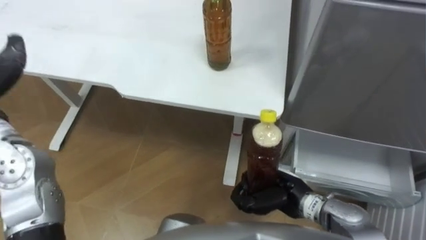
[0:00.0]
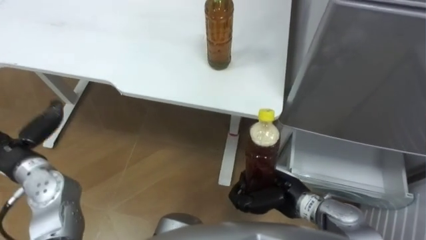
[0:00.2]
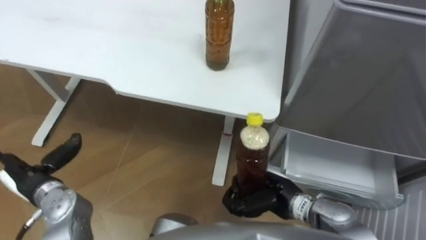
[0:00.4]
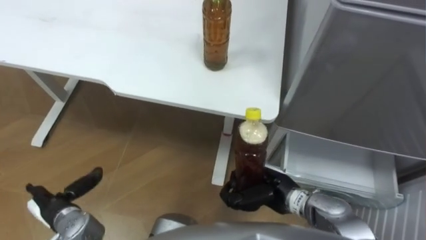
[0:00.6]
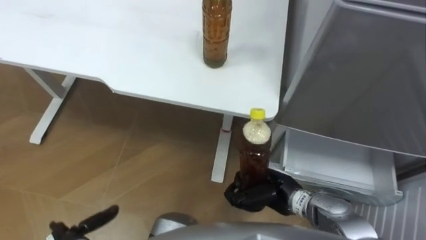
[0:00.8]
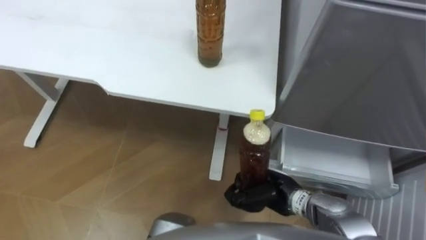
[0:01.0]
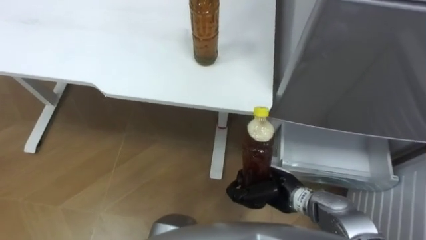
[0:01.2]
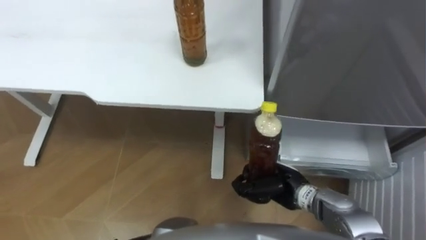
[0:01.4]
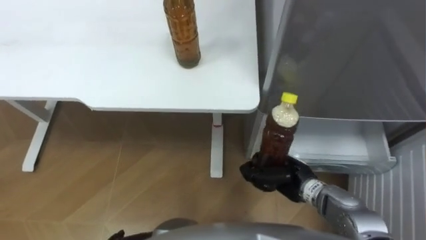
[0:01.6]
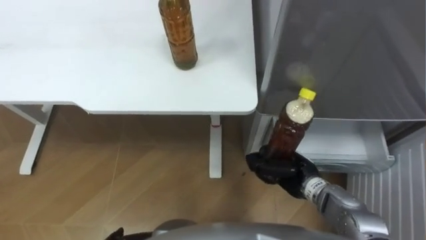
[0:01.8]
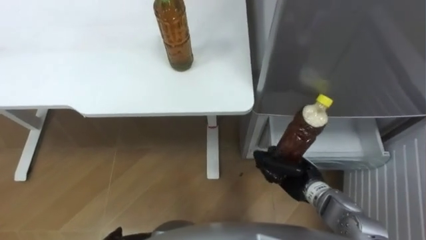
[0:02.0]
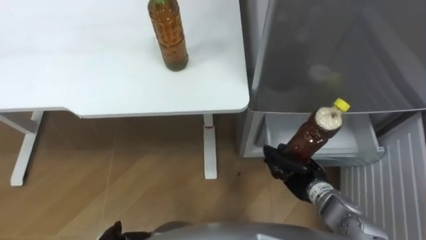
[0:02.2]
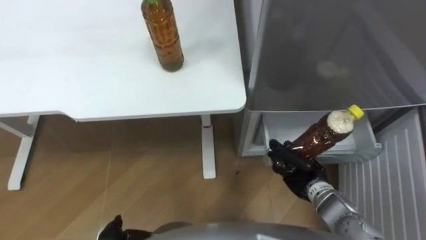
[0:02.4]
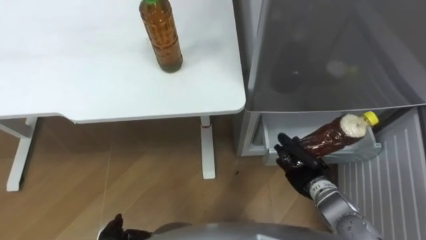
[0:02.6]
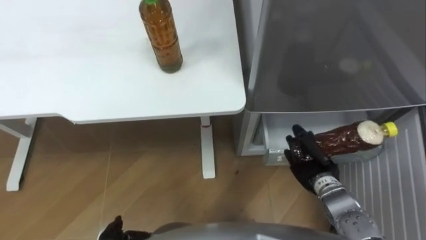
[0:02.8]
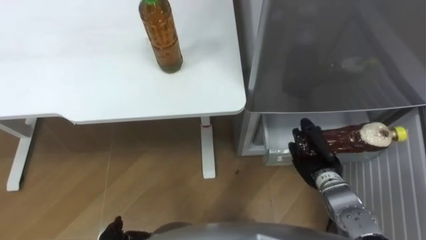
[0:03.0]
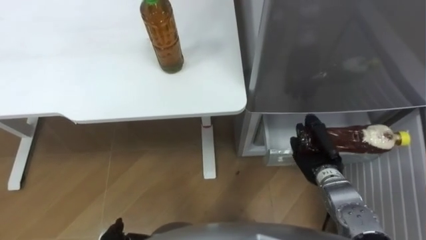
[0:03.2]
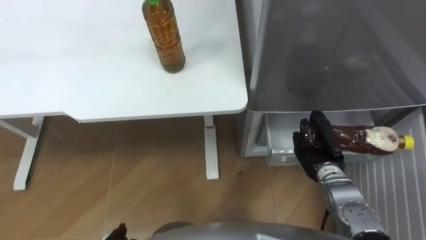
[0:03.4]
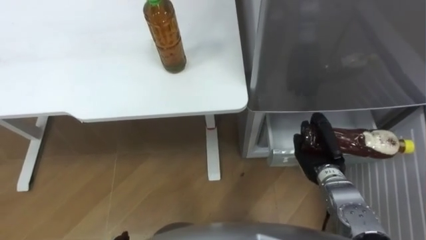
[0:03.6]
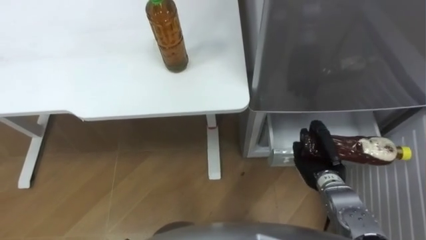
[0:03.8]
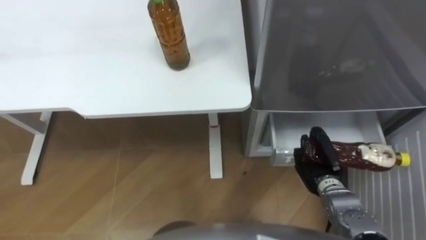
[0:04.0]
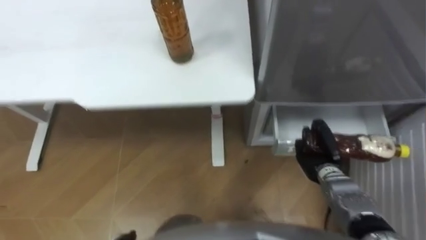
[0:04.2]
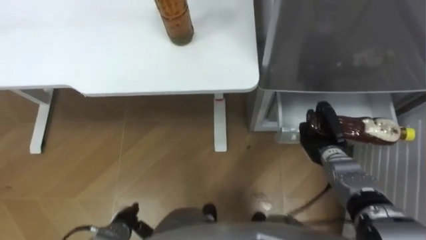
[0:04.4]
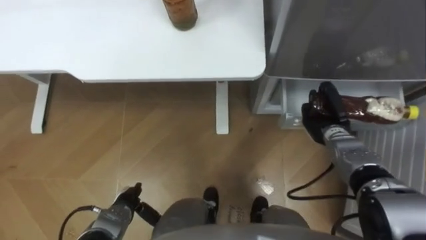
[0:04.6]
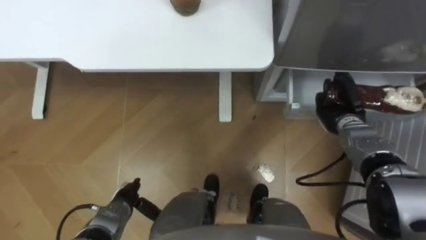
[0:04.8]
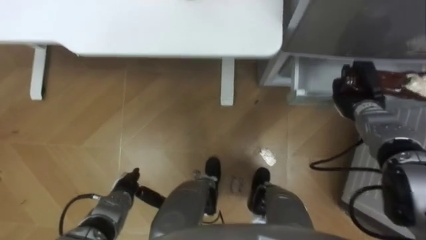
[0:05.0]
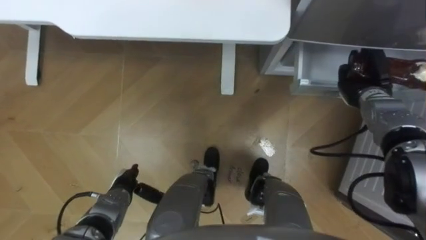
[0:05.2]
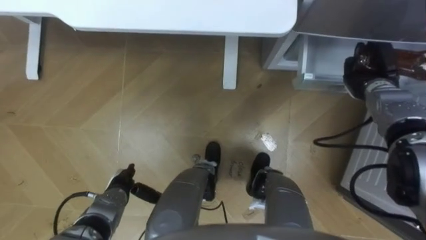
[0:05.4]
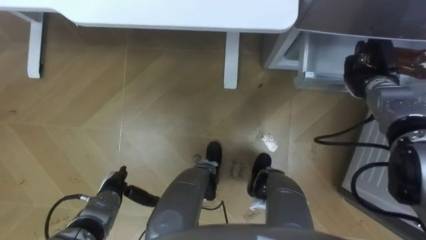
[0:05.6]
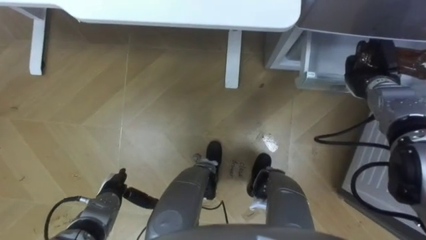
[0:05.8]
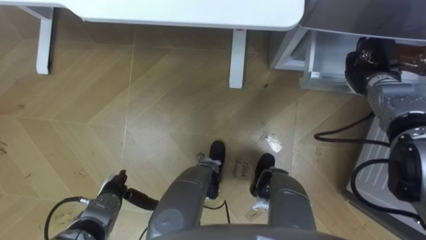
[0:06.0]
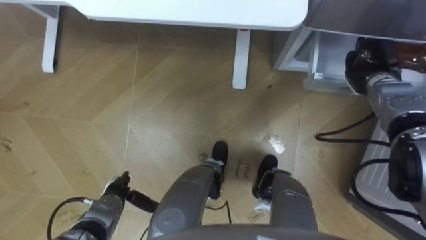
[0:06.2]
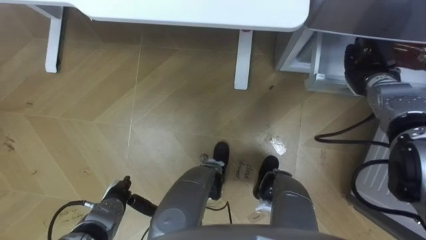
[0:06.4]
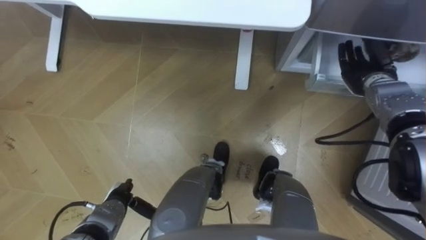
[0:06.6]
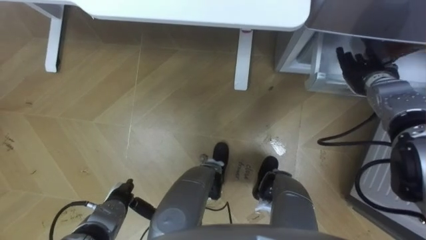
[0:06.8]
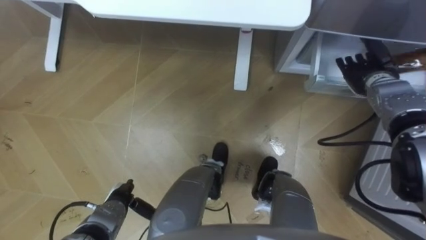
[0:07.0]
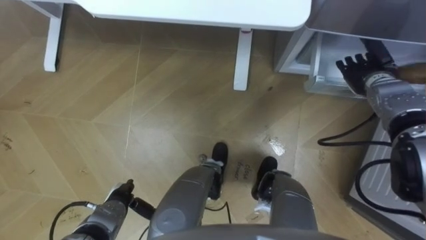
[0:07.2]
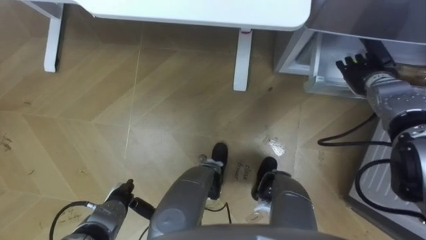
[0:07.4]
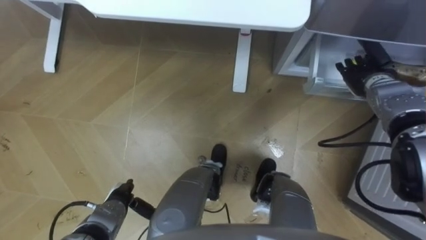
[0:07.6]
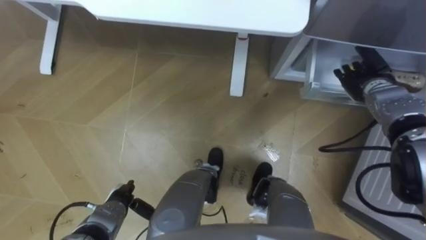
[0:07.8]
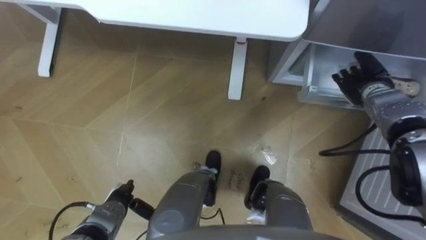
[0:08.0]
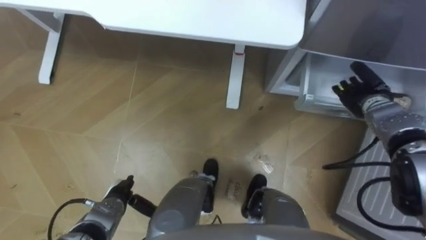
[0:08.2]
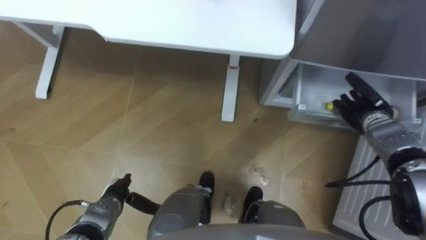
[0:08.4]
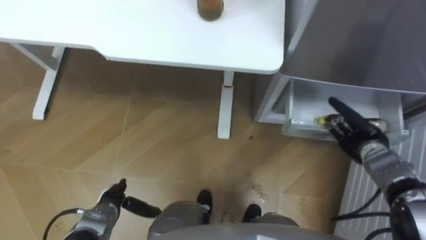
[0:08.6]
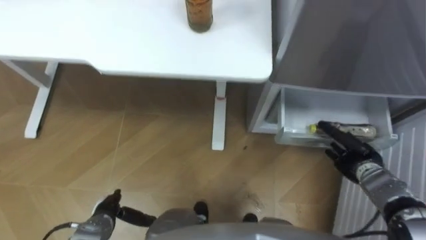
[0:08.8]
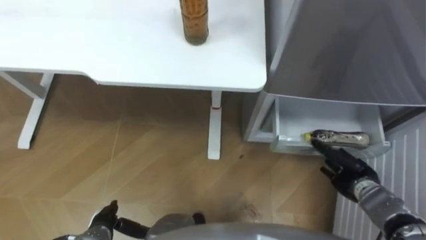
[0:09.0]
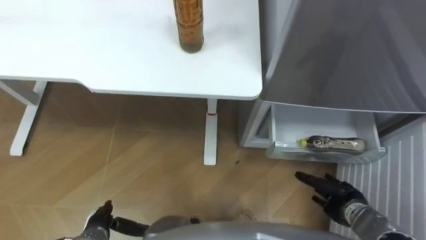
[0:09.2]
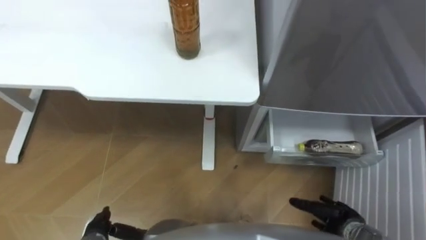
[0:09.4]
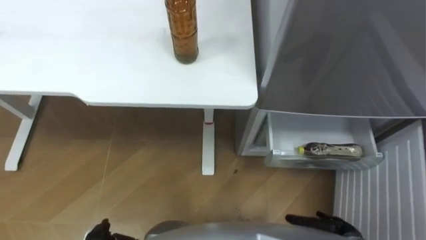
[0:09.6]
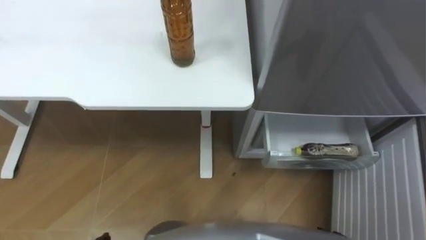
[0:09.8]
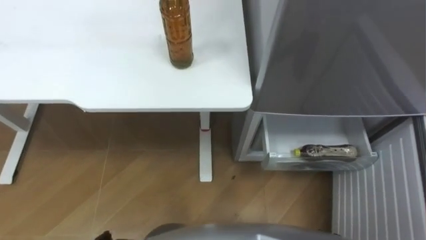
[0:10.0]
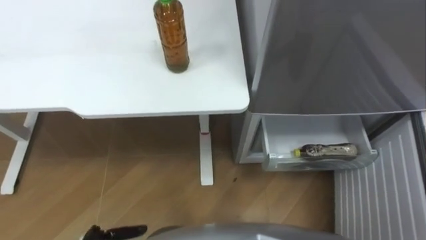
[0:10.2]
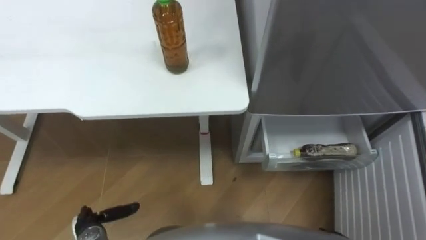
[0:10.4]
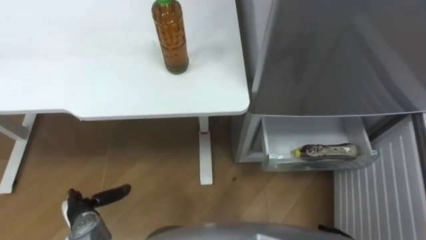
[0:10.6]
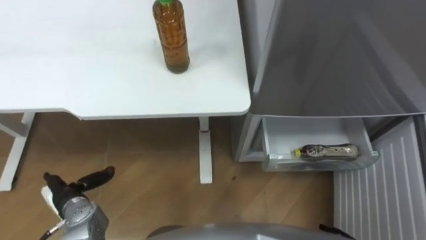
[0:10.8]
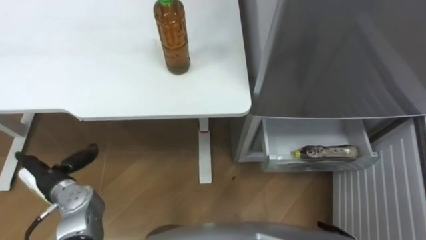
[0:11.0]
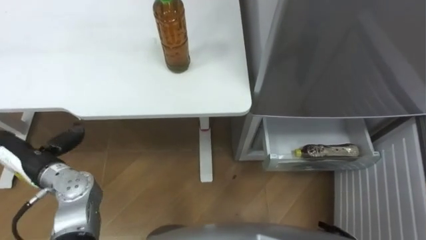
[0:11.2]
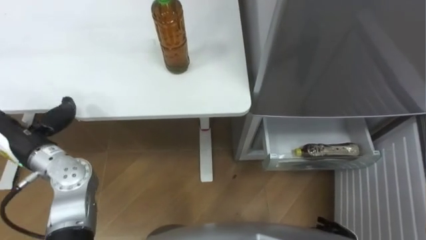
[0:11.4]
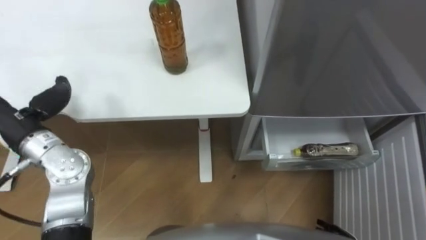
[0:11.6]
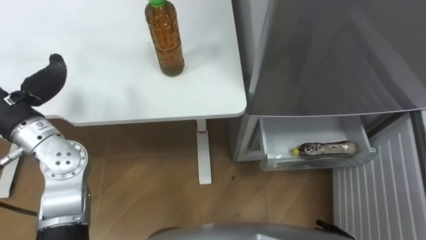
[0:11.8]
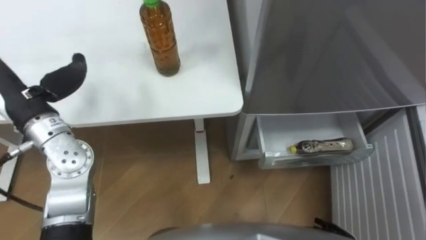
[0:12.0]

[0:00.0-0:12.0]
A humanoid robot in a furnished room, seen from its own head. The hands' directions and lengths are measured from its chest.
Task of the whole recording: Place the drink on the table on the bottom shelf of the refrigerator, then close the drawer and the refrigerator door.
0:01.6 to 0:03.0: The right hand heads to the right, covering some 5 cm.
0:04.4 to 0:06.0: The left hand goes about 10 cm forward. The right hand goes about 20 cm forward, upward and to the right.
0:06.0 to 0:07.6: The right hand opens its fingers.
0:07.6 to 0:09.0: The right hand moves backward and downward, some 20 cm.

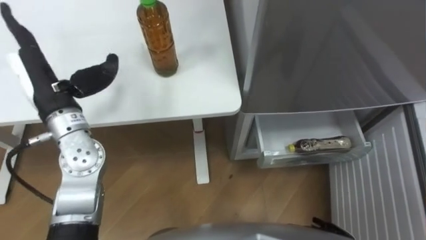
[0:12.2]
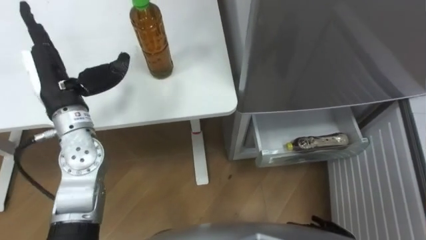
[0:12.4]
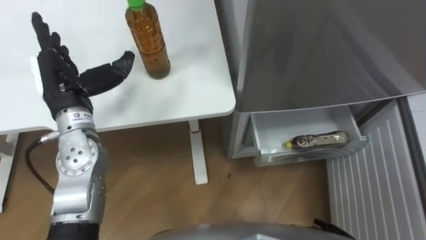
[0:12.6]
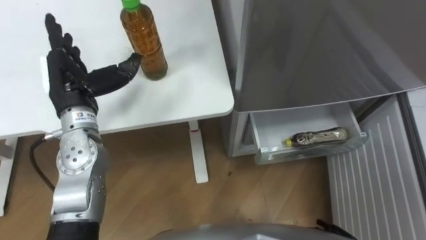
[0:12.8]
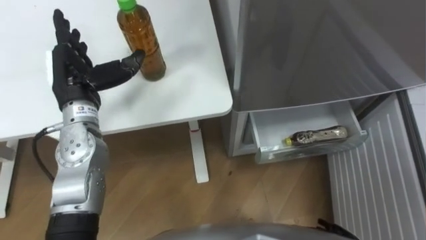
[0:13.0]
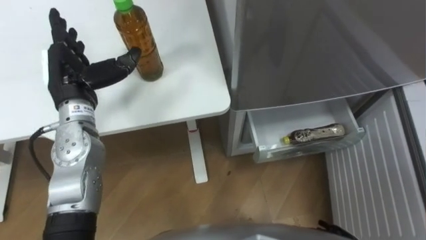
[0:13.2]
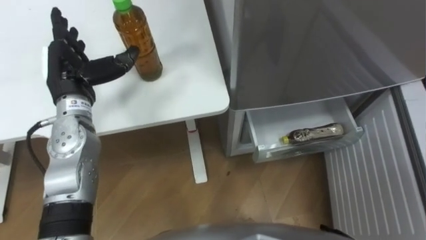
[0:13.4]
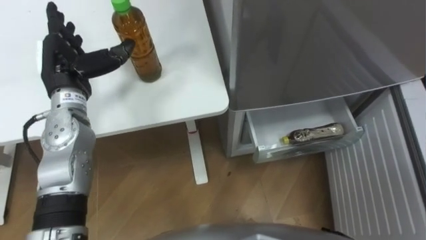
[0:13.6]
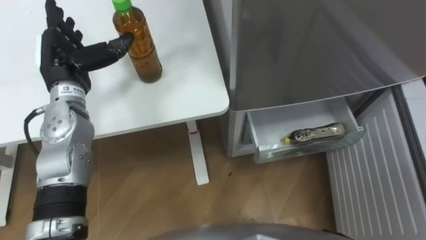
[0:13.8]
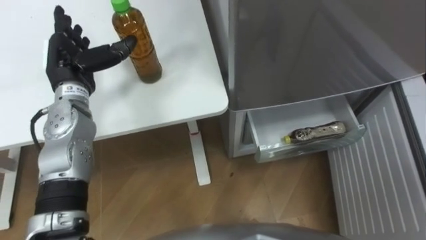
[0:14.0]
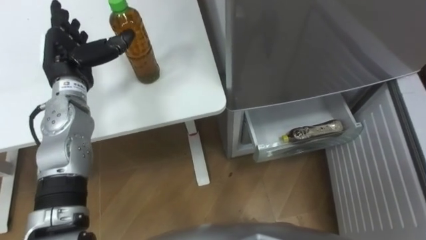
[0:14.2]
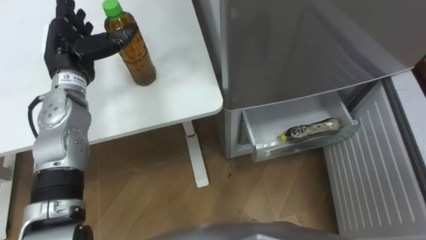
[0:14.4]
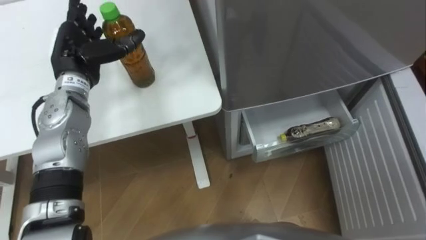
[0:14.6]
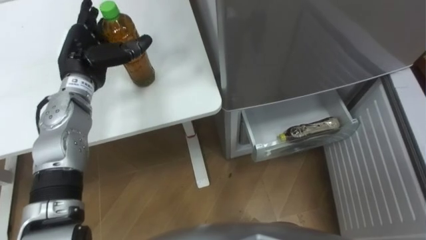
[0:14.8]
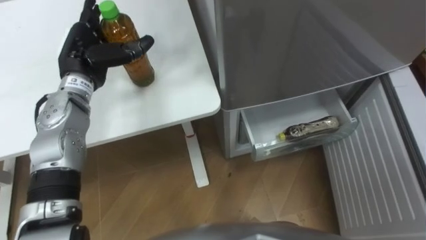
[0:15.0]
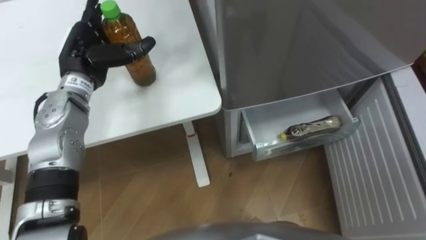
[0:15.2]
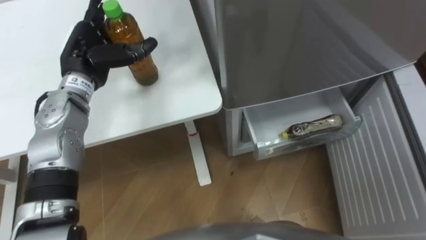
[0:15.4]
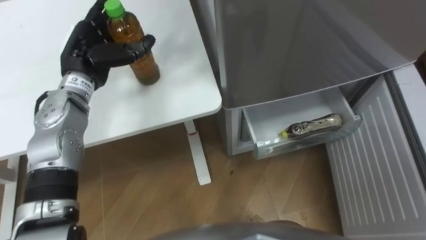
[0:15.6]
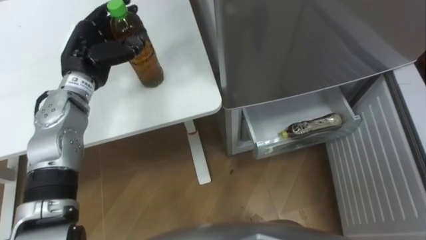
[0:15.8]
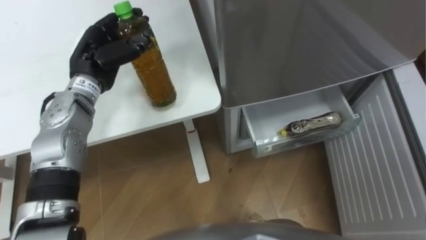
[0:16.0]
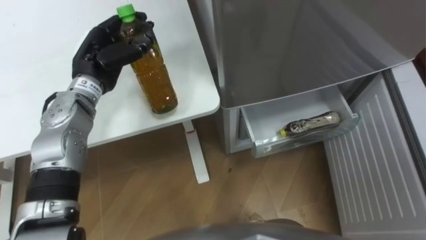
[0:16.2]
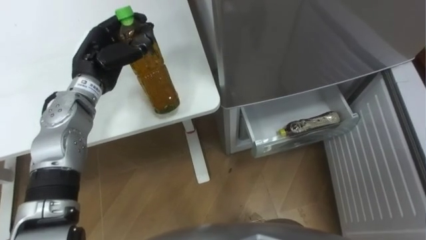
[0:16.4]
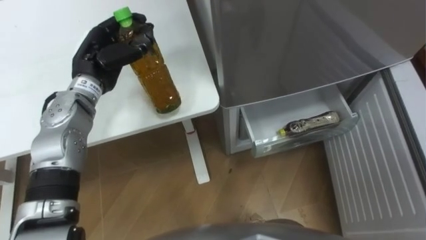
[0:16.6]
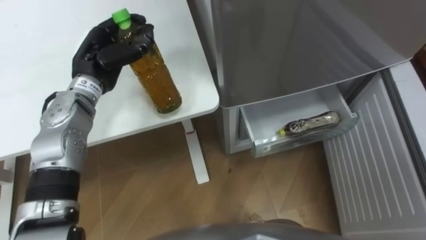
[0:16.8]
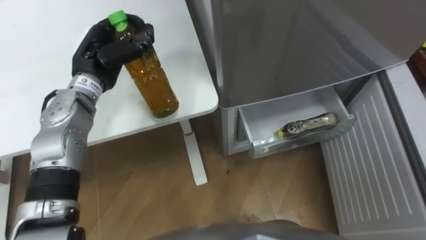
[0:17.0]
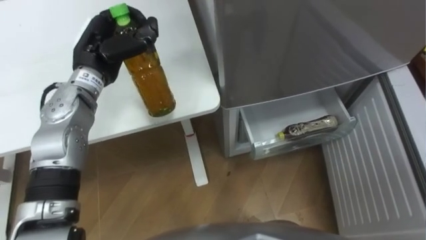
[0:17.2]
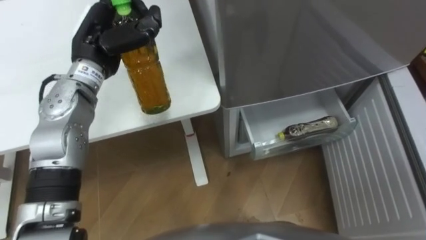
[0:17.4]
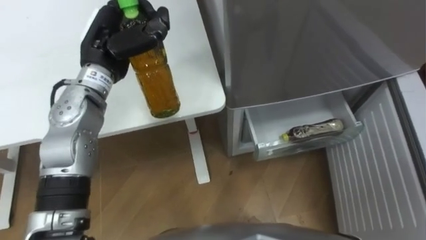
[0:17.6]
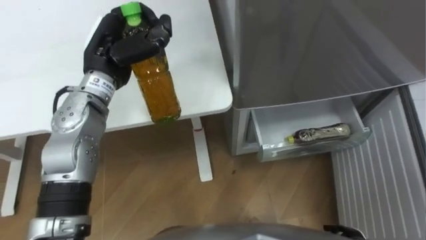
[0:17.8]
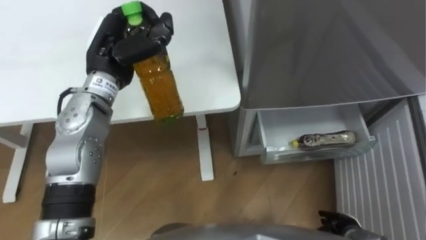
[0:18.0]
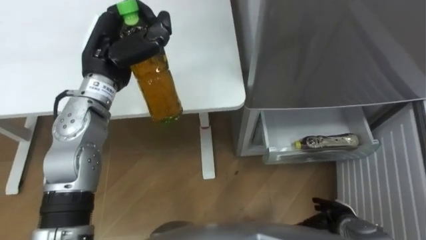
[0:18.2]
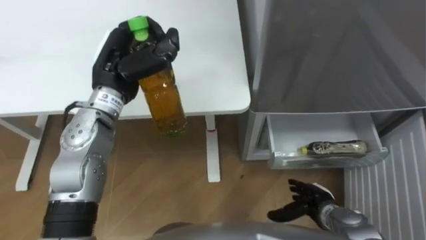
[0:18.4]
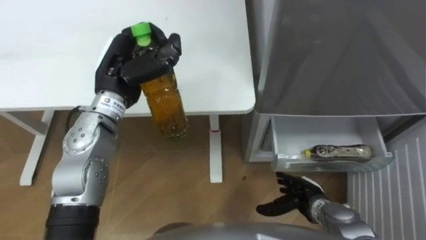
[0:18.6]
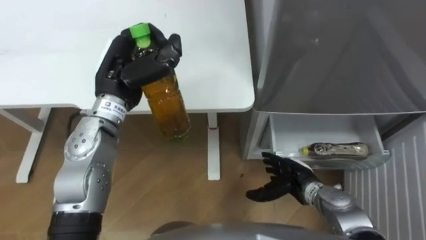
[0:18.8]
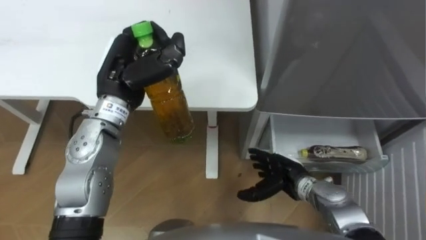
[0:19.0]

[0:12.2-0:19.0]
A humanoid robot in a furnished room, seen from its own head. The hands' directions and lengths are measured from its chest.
Task of the whole recording: Place the drink on the table on the bottom shelf of the refrigerator, then close the drawer and the refrigerator door.
0:12.2 to 0:13.6: The left hand travels forward by approximately 5 cm.
0:15.0 to 0:16.2: The left hand closes up.
0:16.2 to 0:17.6: The left hand shifts by approximately 5 cm.
0:17.6 to 0:19.0: The left hand changes place by about 5 cm.
